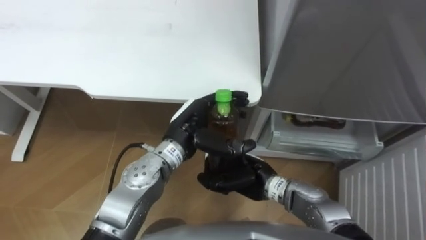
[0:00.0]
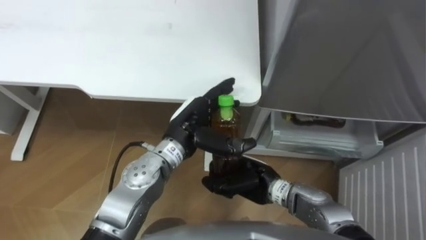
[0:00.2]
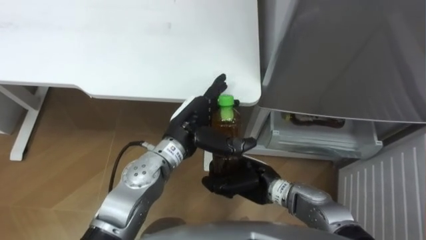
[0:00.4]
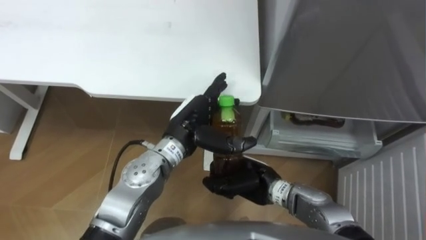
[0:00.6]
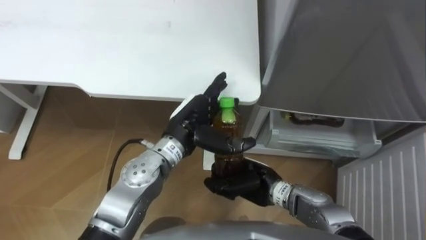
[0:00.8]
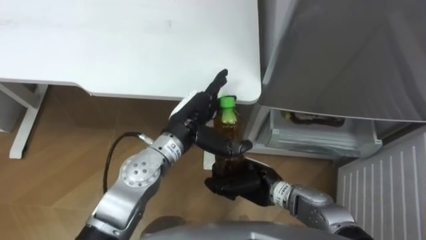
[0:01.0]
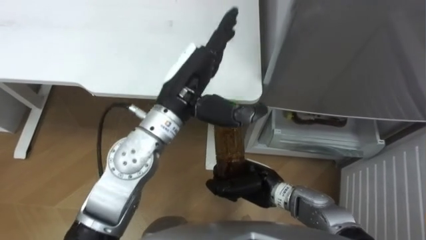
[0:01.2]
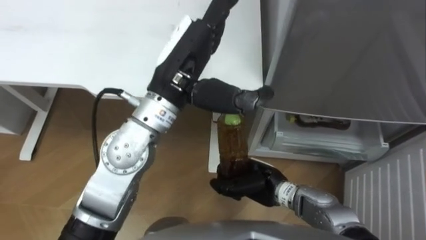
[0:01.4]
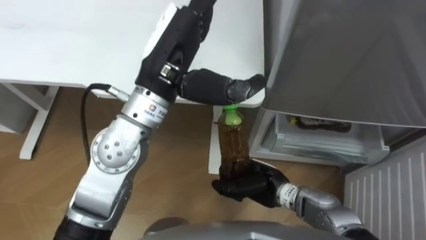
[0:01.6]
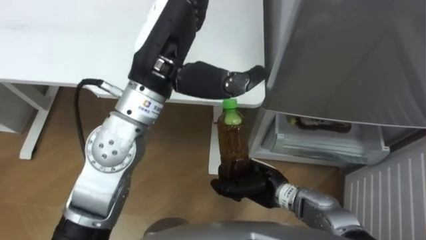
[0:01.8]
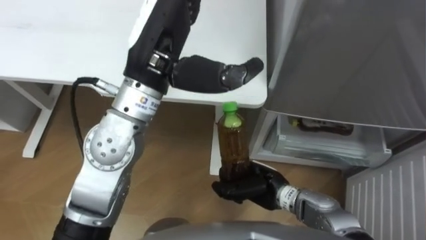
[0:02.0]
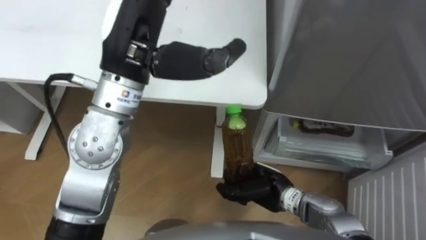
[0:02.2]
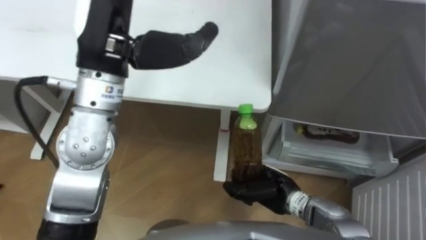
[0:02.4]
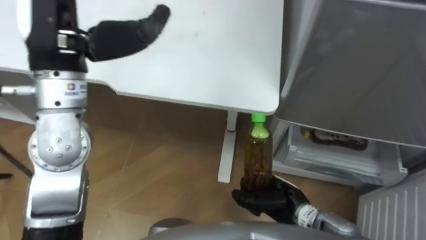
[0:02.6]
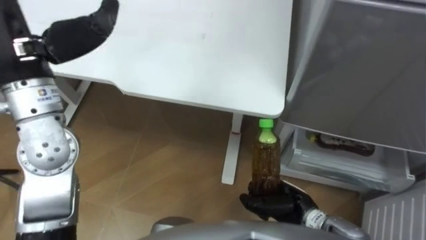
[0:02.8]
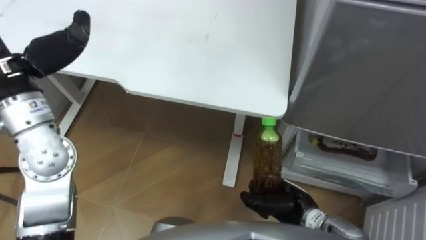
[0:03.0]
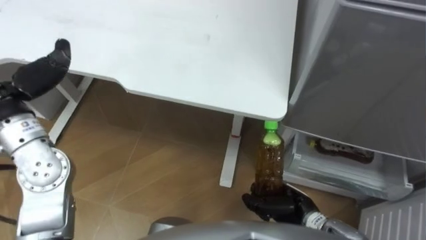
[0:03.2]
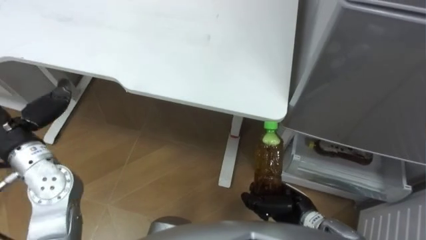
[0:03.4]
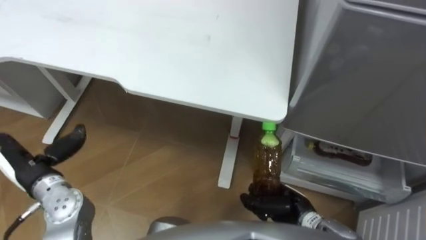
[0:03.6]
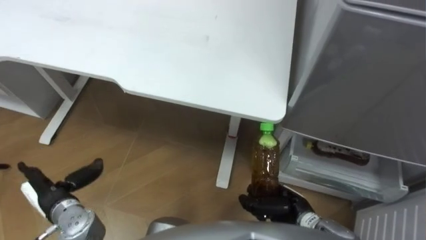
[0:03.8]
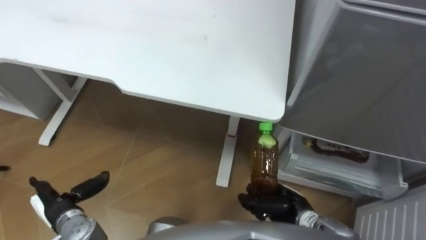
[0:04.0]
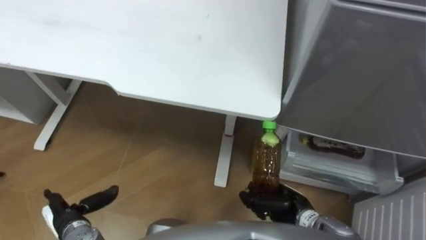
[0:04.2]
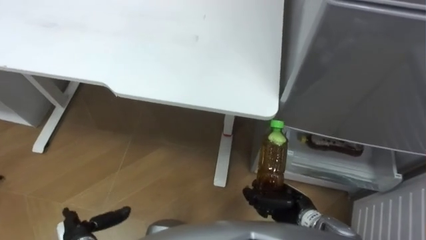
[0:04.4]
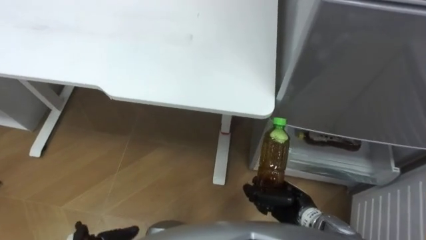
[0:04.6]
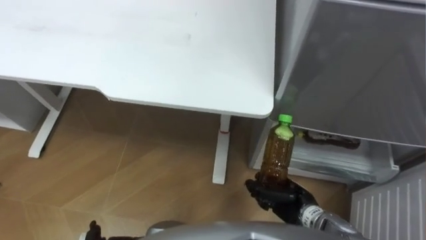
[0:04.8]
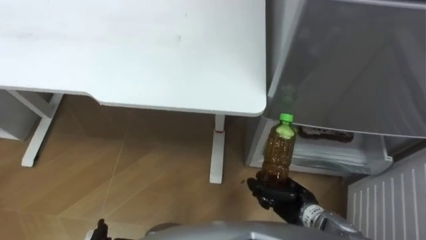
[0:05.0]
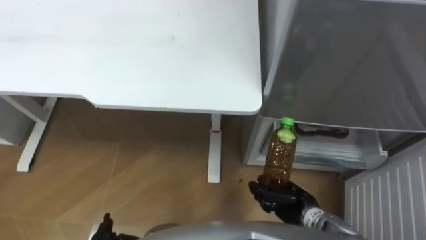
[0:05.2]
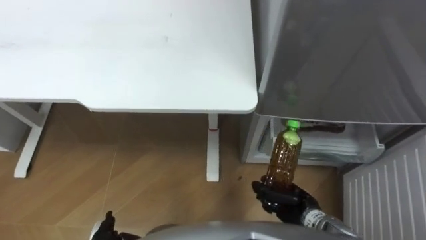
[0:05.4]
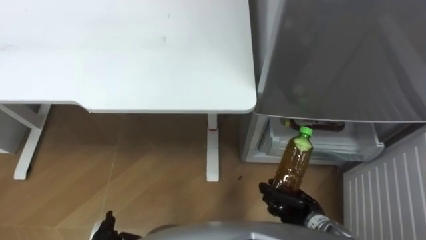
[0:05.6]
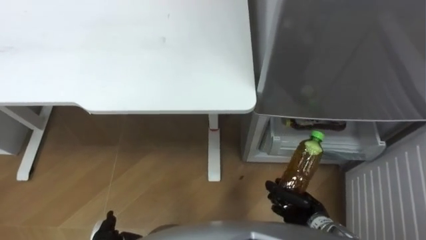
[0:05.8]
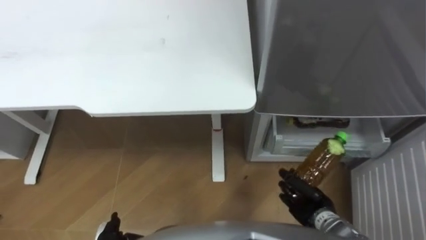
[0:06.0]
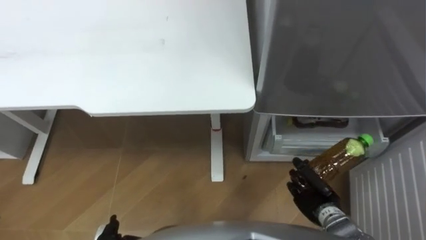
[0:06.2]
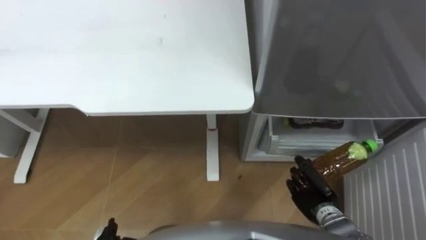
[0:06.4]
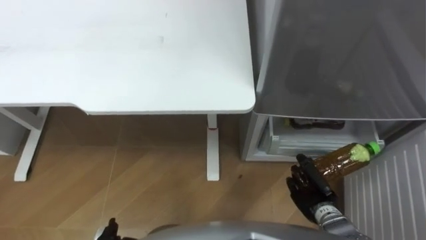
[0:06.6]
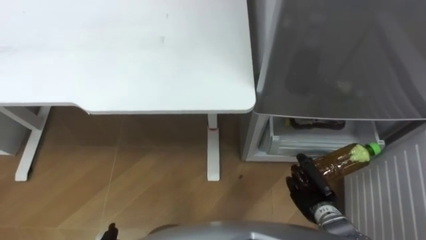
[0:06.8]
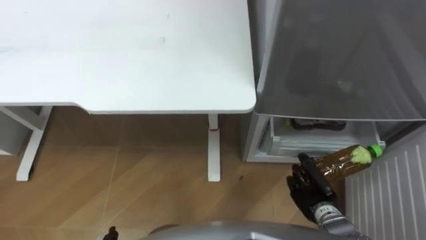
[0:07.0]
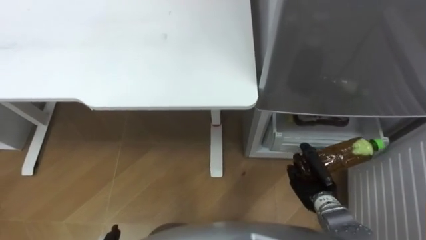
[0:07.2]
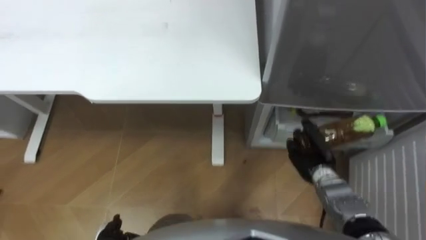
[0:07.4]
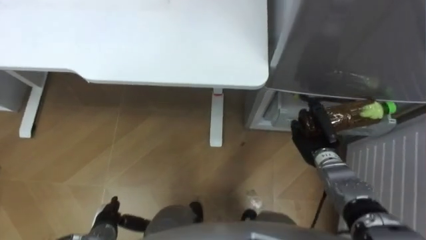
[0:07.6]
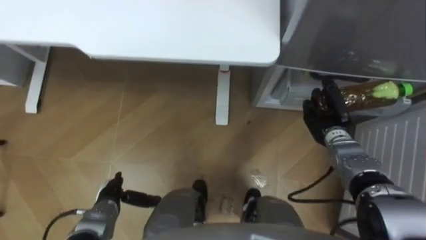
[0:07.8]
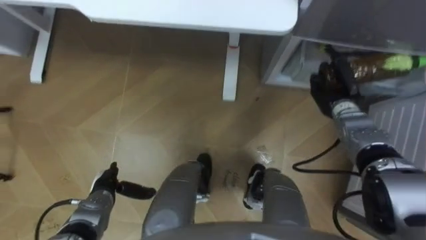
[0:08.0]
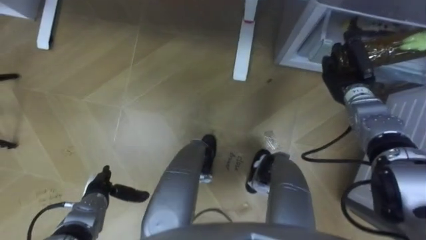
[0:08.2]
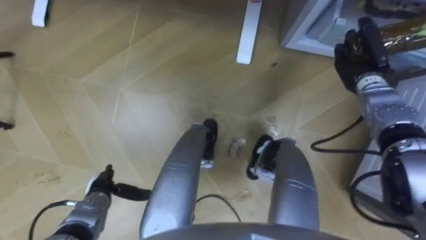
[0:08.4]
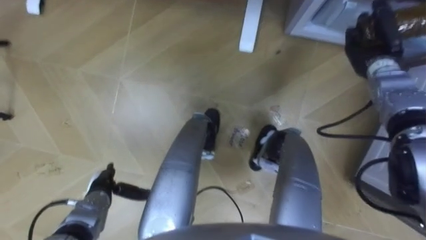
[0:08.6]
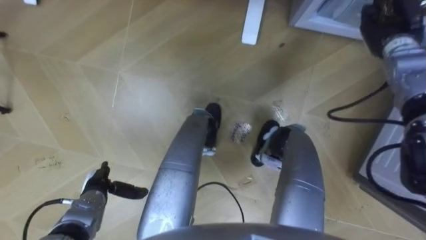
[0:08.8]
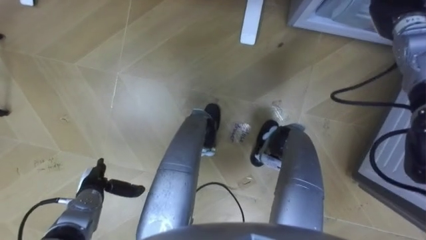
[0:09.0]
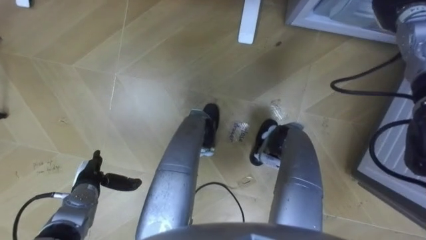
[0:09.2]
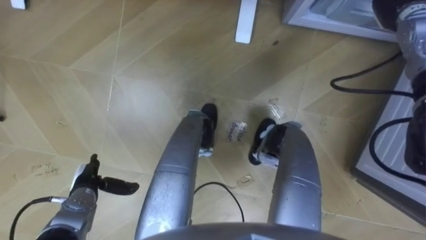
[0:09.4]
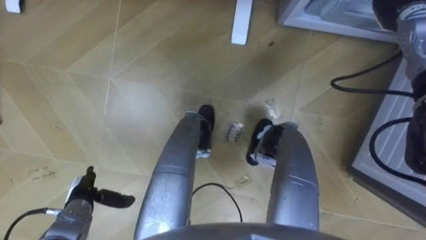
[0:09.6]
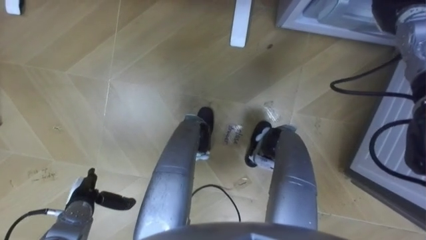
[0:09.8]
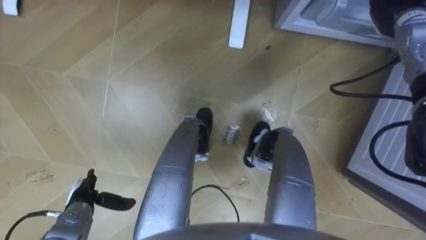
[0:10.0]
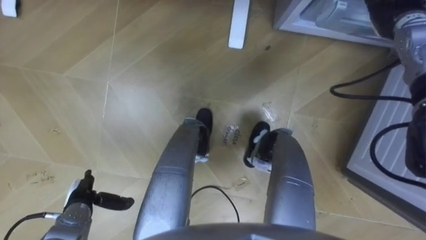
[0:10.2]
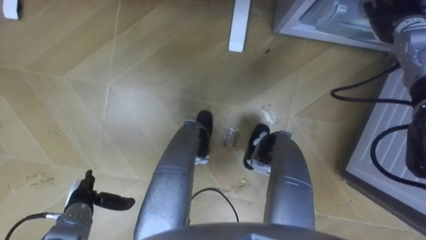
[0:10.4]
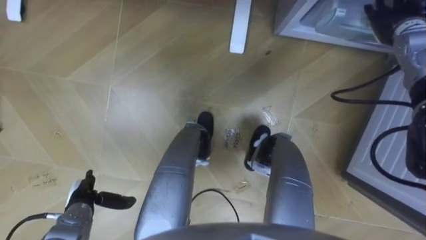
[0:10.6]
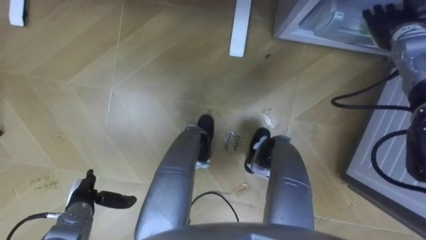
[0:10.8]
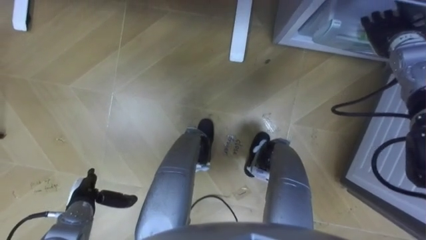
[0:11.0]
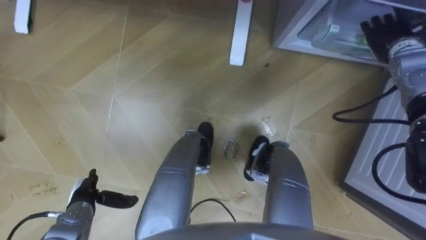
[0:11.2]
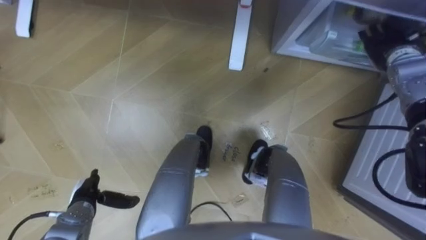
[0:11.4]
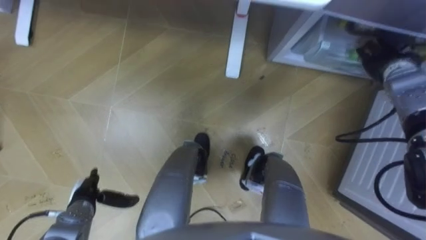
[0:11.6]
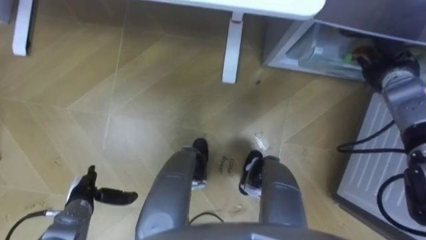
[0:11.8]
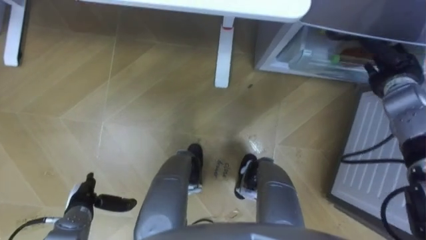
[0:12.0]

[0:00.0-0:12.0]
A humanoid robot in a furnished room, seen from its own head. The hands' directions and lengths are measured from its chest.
Task of the whole recording: Place the drink on the table on the bottom shelf of the refrigerator, then close the drawer and the refrigerator door.
0:00.0 to 0:01.6: The left hand heads upward, covering roughly 15 cm.
0:01.6 to 0:03.0: The right hand moves to the right, some 5 cm.
0:04.4 to 0:06.0: The right hand is displaced to the right by roughly 5 cm.
0:06.0 to 0:07.6: The right hand moves forward and upward, approximately 15 cm.
0:07.6 to 0:09.0: The left hand moves forward, roughly 10 cm; the right hand moves upward, forward and to the right, about 30 cm.
0:10.4 to 0:12.0: The right hand goes approximately 10 cm downward and backward.

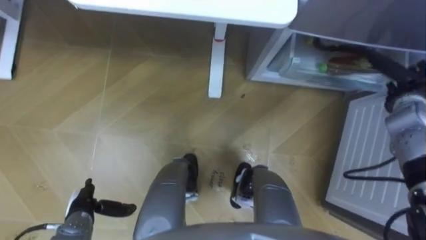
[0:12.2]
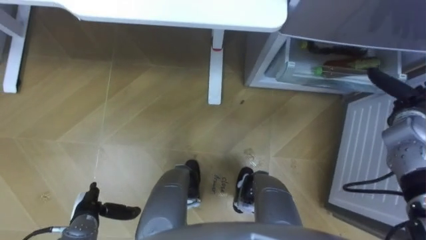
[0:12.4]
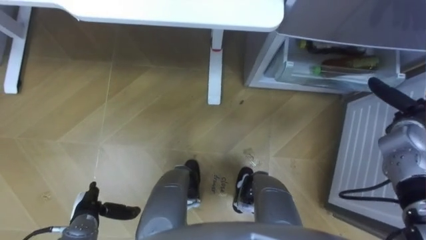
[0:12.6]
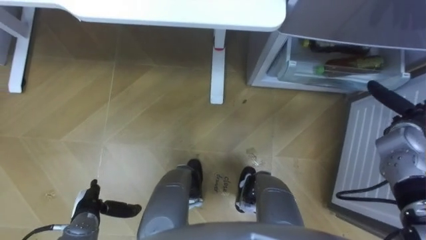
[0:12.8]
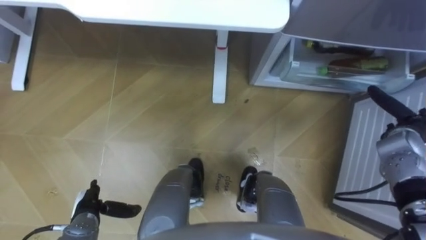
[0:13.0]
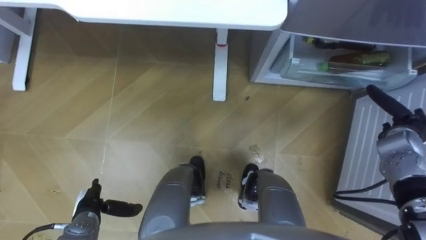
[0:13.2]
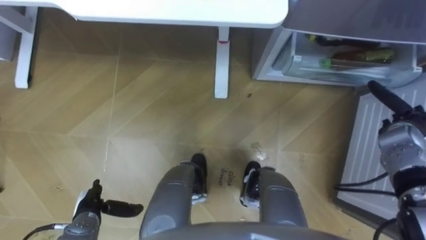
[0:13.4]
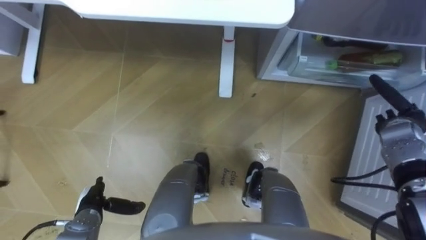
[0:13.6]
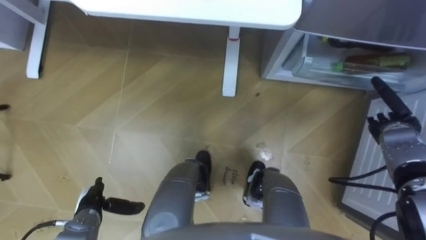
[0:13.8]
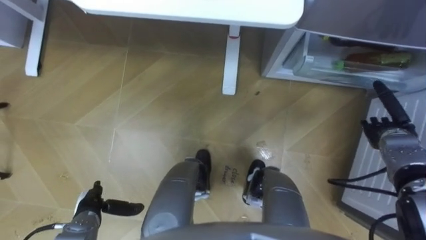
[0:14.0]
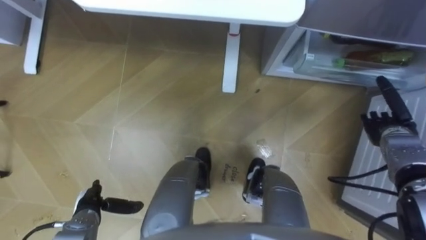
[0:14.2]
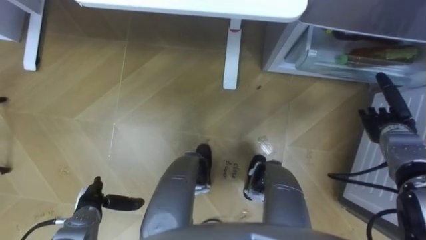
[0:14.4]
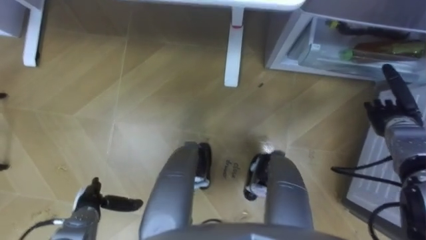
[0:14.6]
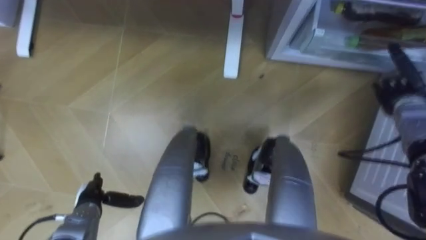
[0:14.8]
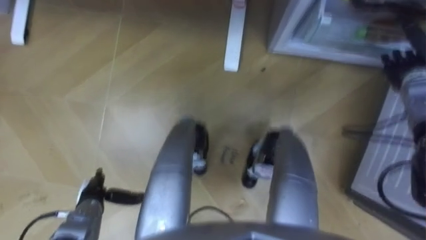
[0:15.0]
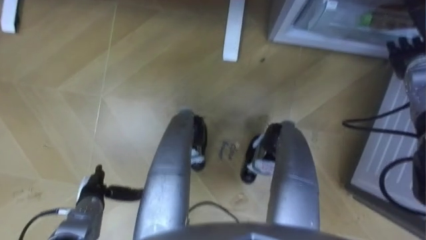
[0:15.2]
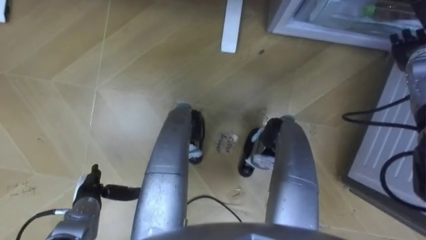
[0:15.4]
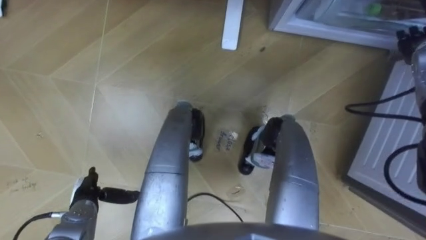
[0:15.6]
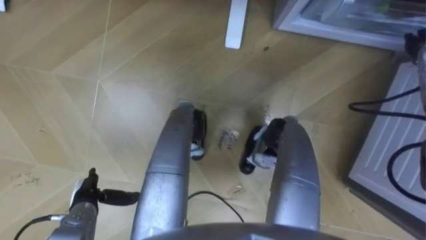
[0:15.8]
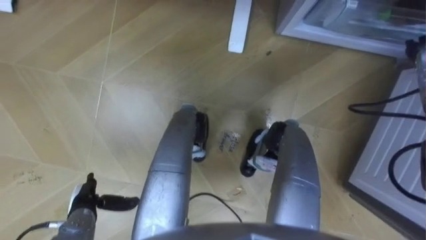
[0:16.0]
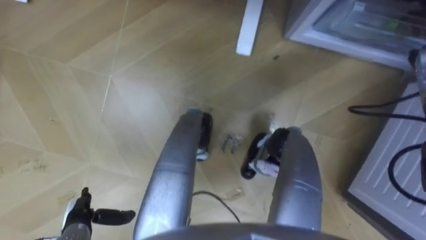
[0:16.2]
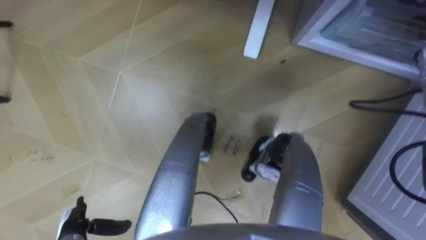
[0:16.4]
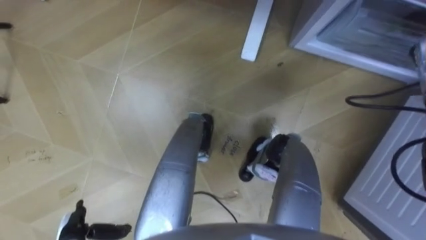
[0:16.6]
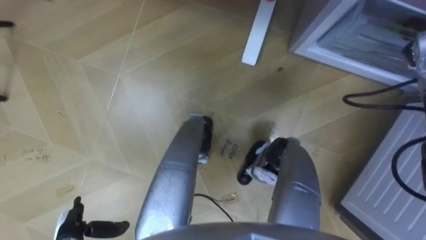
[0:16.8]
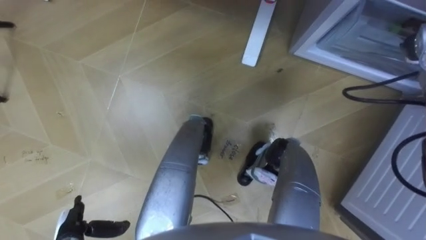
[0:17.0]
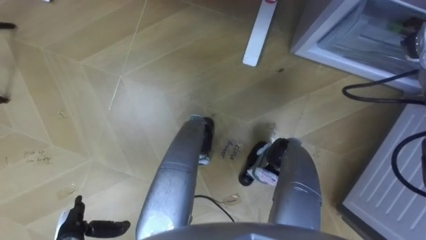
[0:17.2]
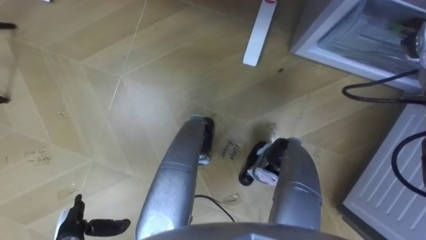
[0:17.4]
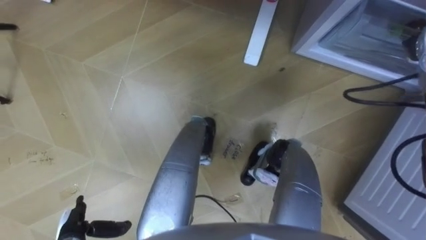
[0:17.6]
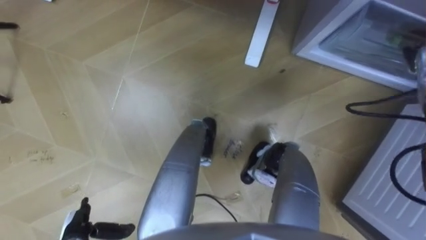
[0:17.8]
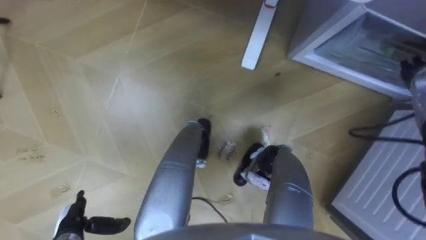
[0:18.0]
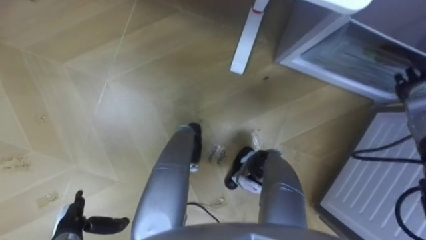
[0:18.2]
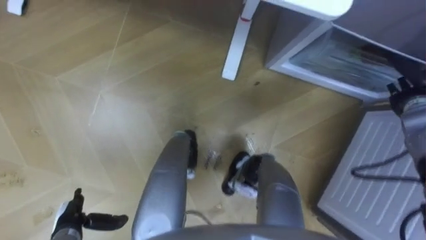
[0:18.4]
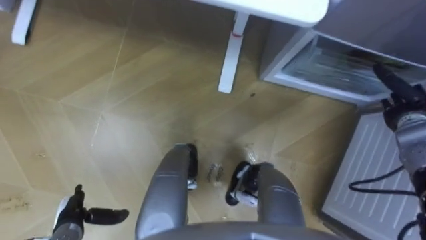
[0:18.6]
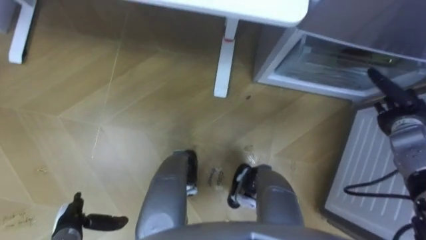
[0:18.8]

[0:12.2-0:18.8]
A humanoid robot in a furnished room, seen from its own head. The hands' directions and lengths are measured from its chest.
Task of the whole recording: Place the drink on the table on the bottom shelf of the refrigerator, then close the drawer and the refrigerator door.
0:12.2 to 0:13.8: The right hand is displaced downward by about 5 cm.
0:13.8 to 0:15.4: The right hand moves upward and forward, about 15 cm.
0:15.4 to 0:17.2: The left hand is displaced backward by some 10 cm.
